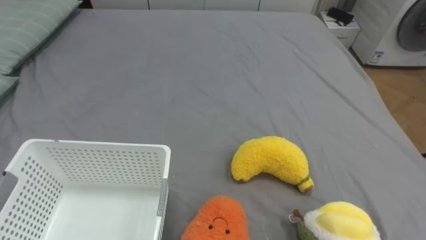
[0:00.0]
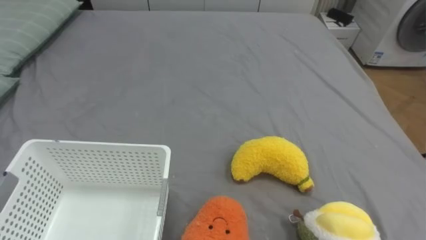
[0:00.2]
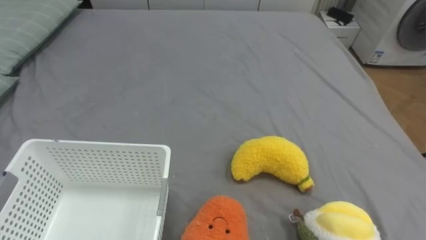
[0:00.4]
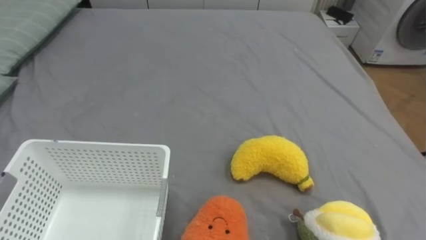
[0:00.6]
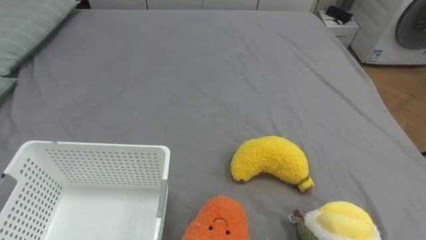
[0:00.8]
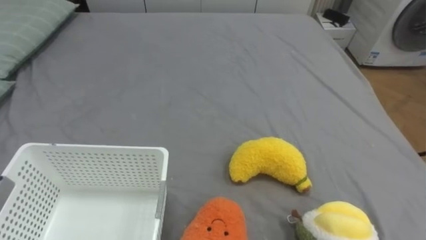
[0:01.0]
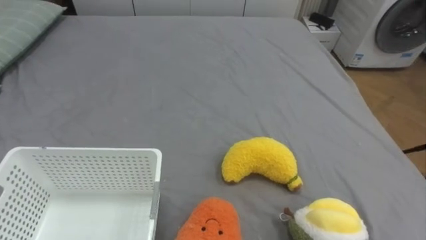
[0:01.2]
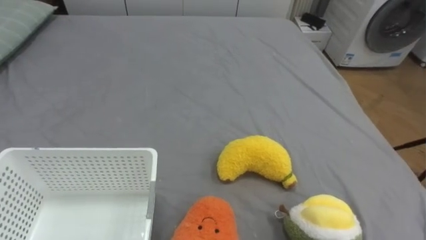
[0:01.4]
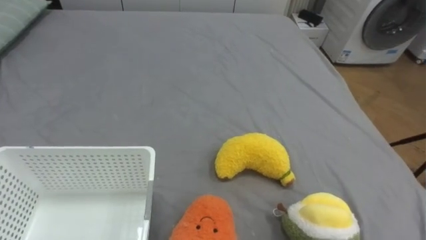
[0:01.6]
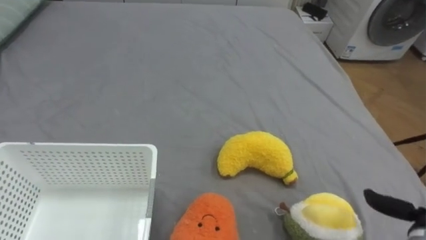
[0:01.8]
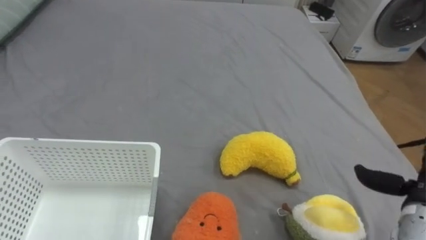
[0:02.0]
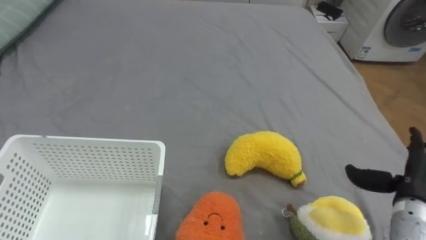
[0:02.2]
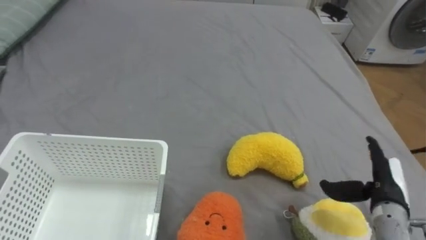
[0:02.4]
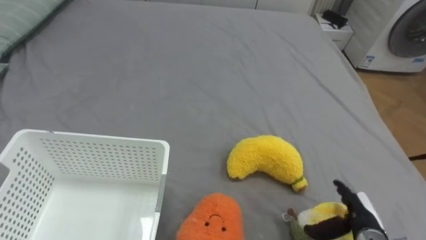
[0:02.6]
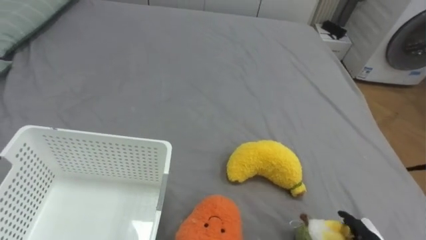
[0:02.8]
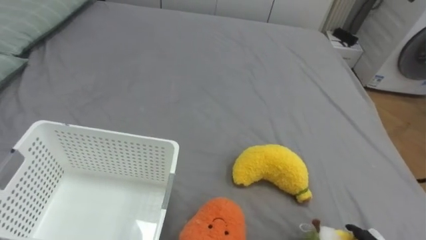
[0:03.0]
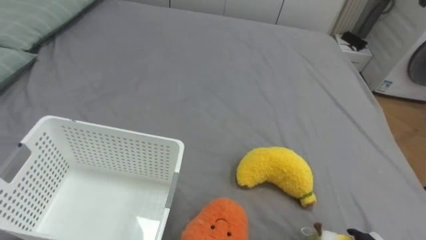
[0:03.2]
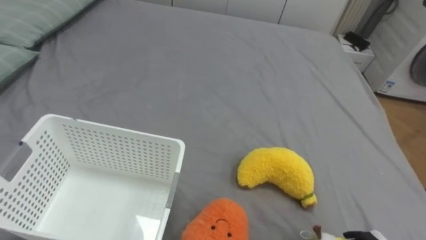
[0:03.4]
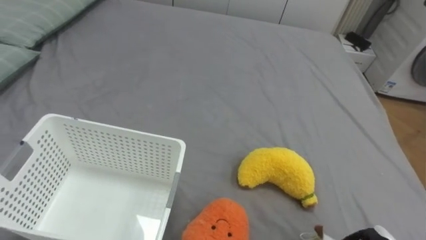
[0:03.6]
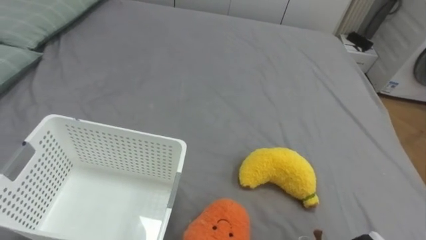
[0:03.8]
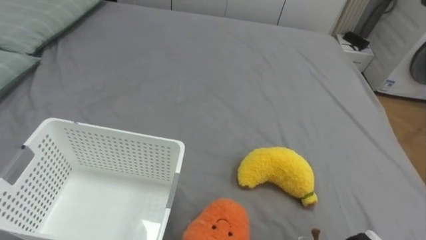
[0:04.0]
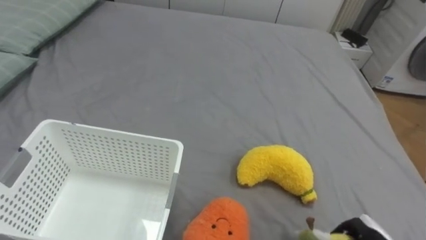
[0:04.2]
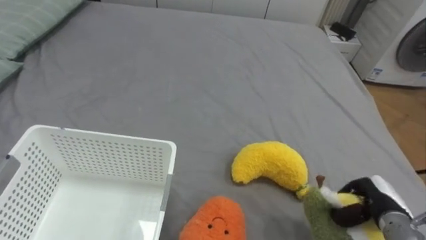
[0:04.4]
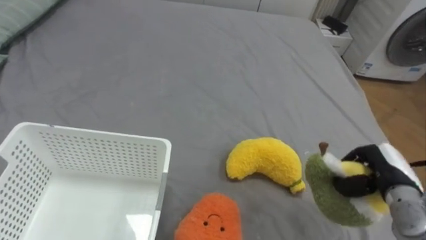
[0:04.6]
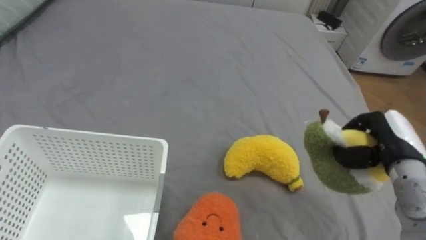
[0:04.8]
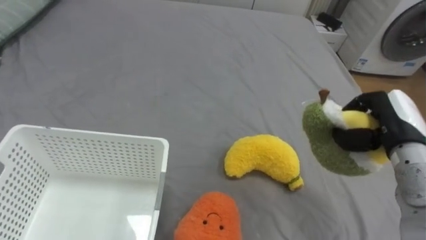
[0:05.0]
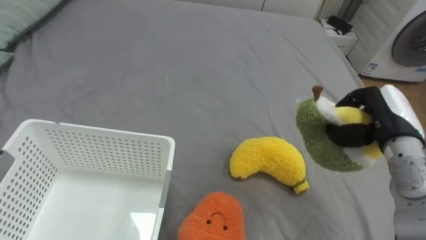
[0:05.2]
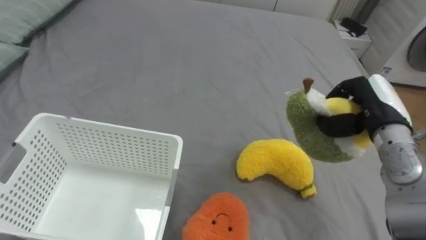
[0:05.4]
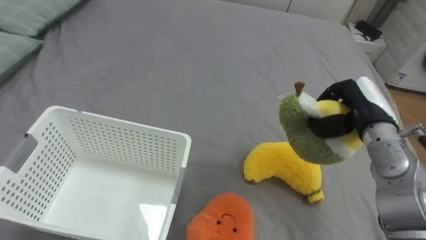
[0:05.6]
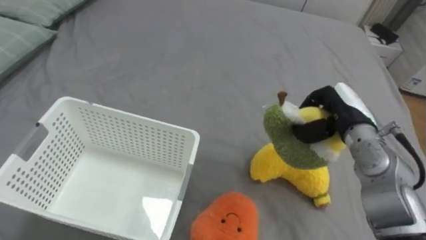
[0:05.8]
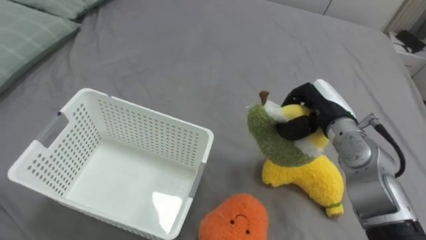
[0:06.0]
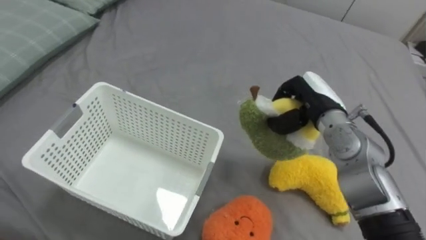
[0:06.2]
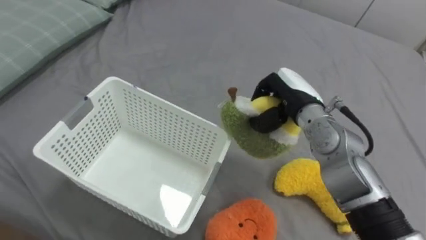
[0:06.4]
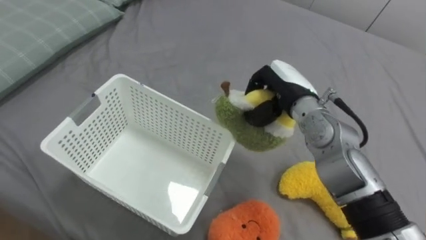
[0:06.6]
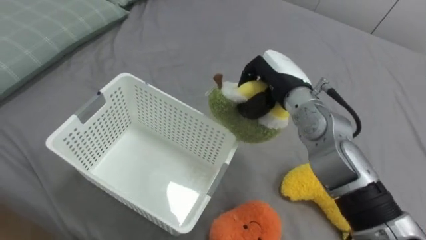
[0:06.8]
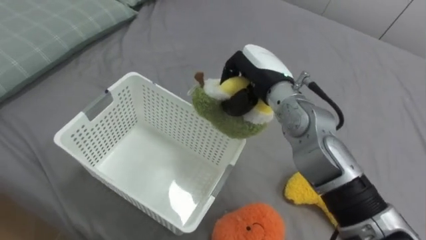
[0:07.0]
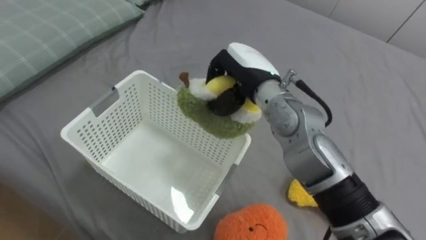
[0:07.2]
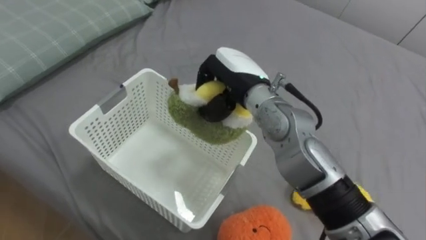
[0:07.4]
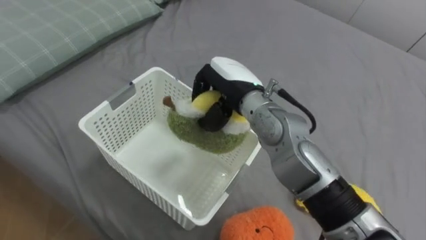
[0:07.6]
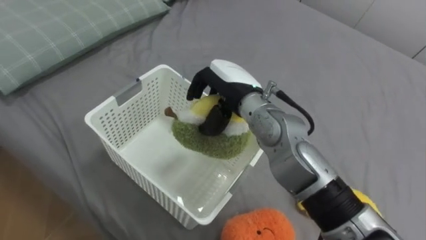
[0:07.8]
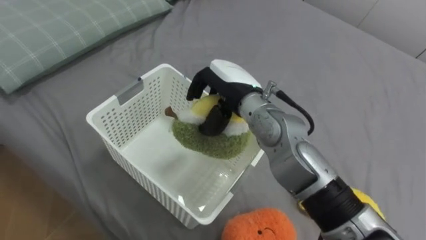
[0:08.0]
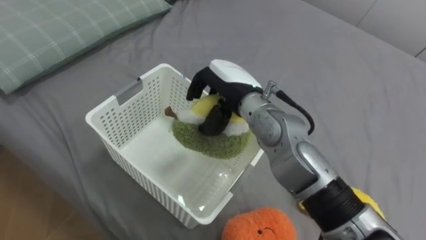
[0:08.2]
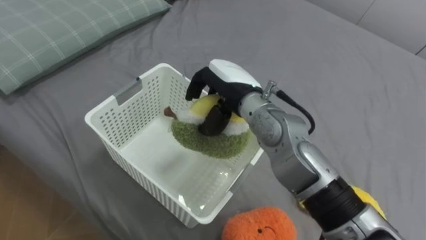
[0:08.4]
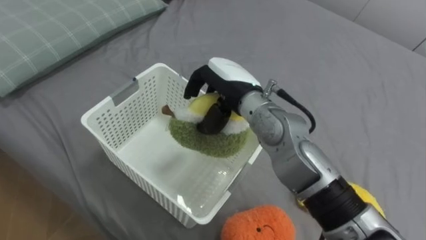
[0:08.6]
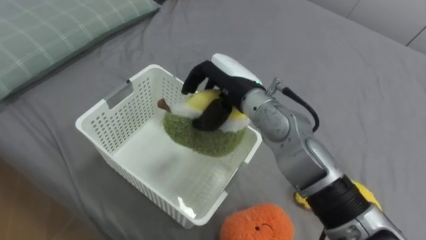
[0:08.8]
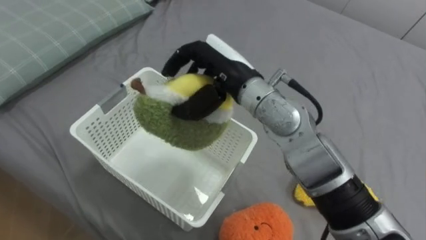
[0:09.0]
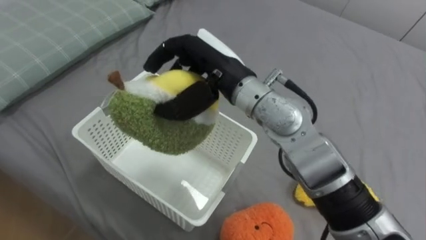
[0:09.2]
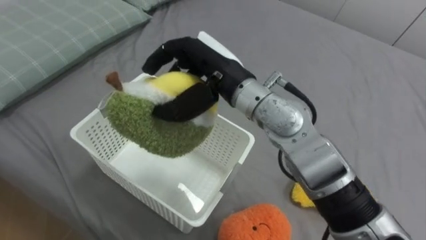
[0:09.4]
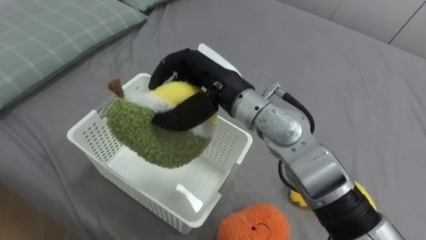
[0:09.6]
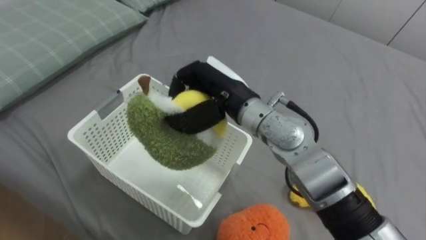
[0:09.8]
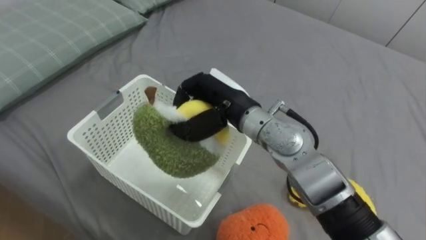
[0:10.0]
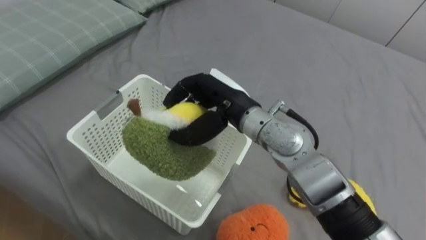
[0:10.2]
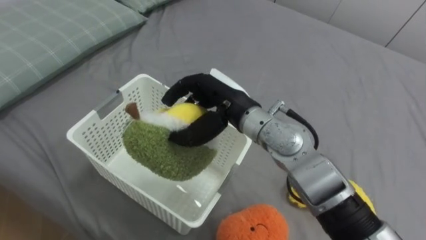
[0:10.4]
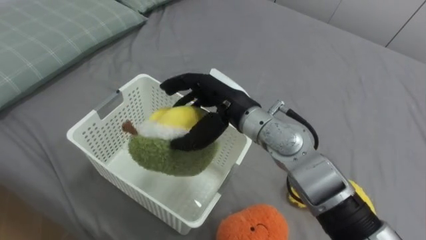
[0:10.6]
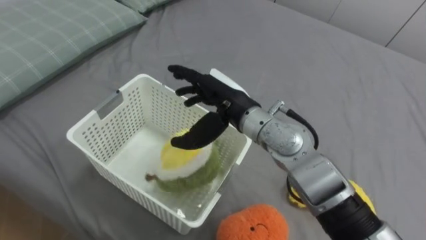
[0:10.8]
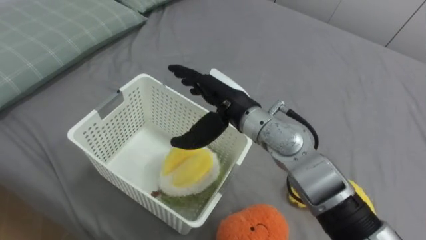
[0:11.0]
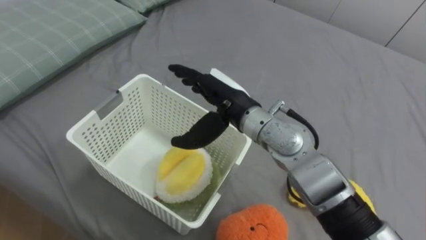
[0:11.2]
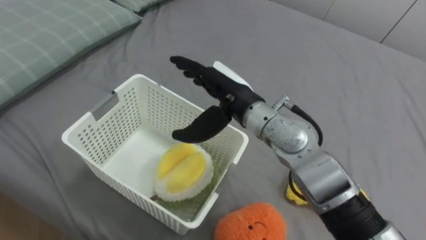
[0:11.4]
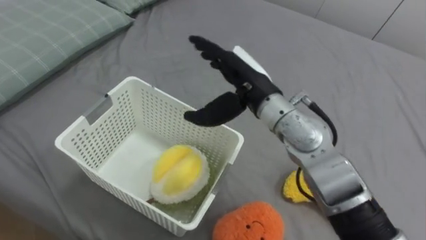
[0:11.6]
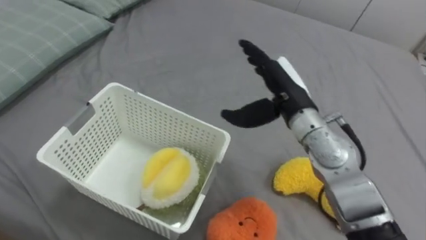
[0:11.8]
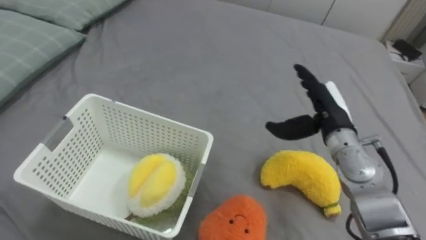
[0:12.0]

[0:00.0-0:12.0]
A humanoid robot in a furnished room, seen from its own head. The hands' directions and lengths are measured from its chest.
Task of the whole recording: Put the toys on the bed into the basket on the left.
0:04.4 to 0:06.0: The right hand moves forward, upward and to the left, approximately 20 cm.
0:06.0 to 0:07.6: The right hand travels to the left by about 20 cm.
0:07.6 to 0:09.0: The right hand moves approximately 5 cm.
0:09.0 to 0:10.4: The right hand is displaced downward by approximately 5 cm.
0:10.4 to 0:12.0: The right hand goes some 20 cm to the right, and opens up.

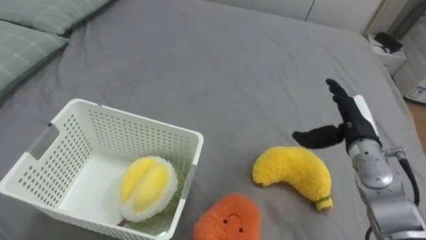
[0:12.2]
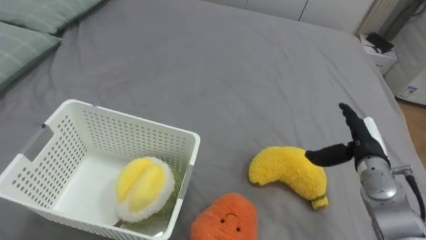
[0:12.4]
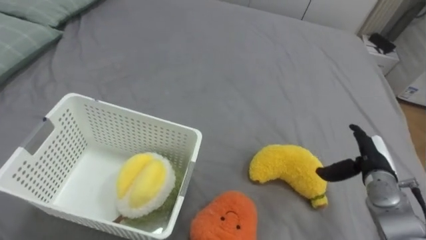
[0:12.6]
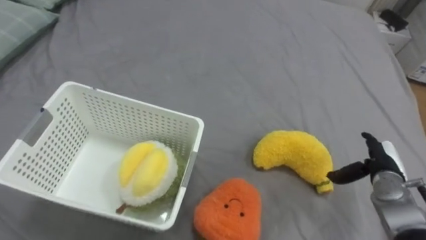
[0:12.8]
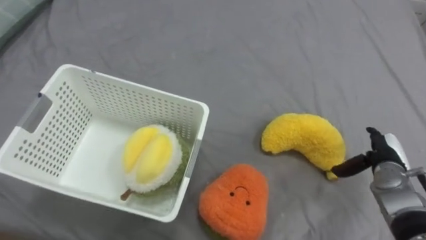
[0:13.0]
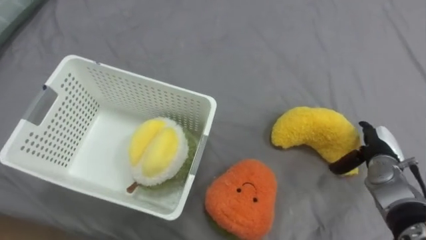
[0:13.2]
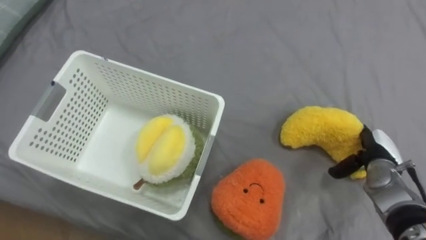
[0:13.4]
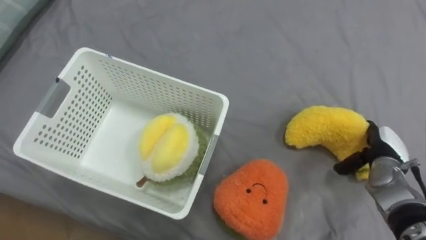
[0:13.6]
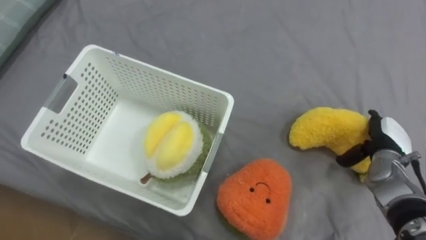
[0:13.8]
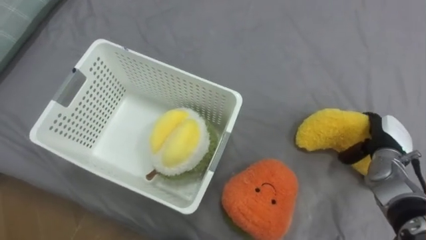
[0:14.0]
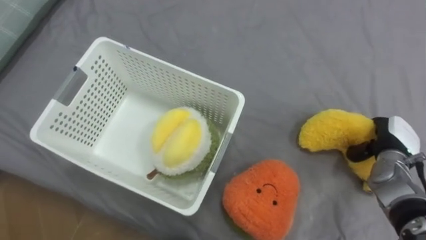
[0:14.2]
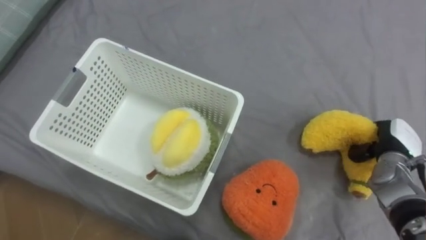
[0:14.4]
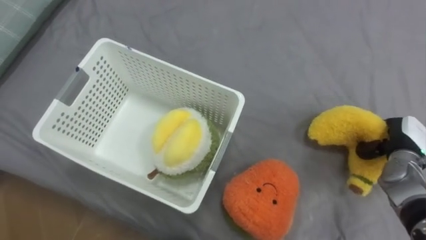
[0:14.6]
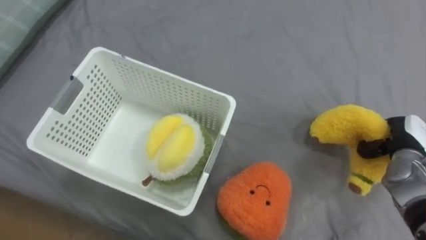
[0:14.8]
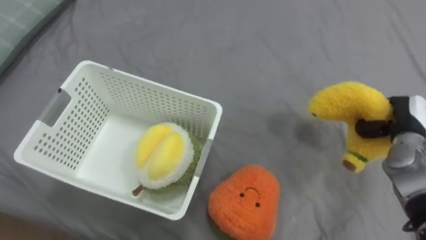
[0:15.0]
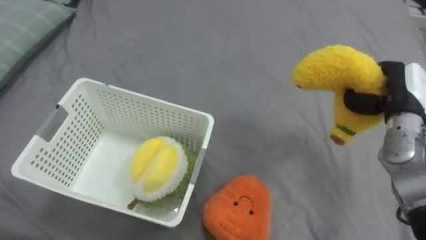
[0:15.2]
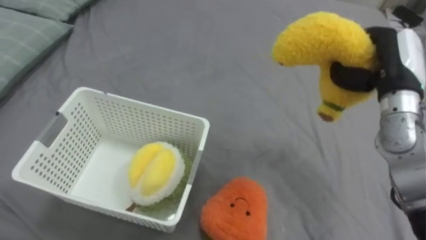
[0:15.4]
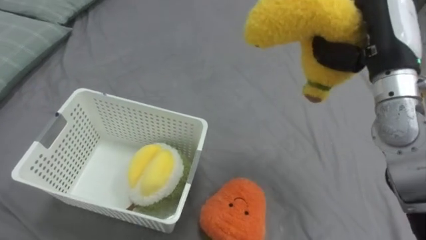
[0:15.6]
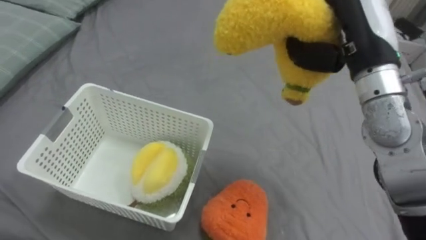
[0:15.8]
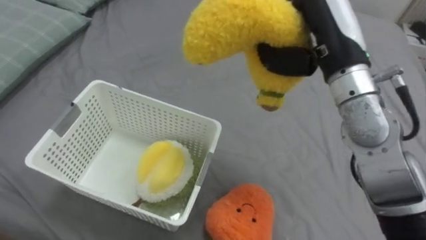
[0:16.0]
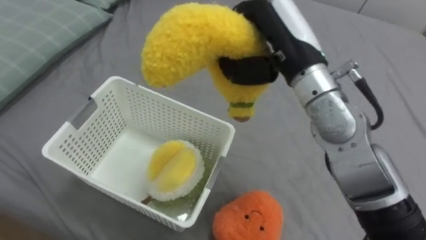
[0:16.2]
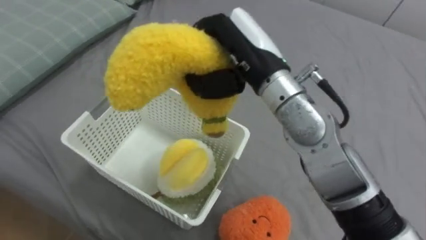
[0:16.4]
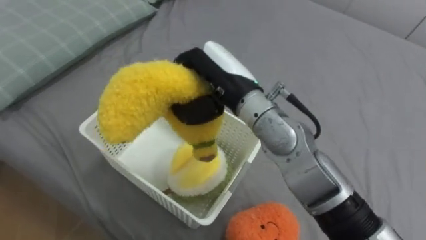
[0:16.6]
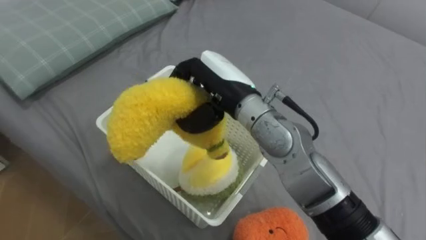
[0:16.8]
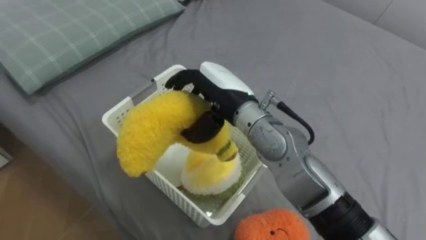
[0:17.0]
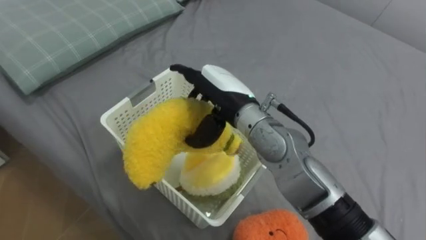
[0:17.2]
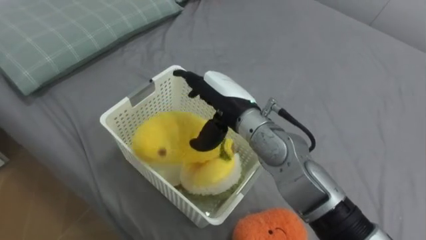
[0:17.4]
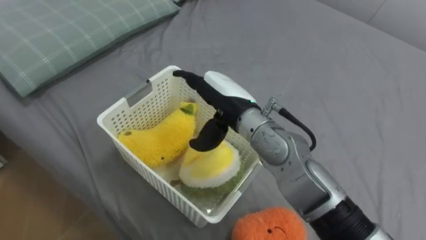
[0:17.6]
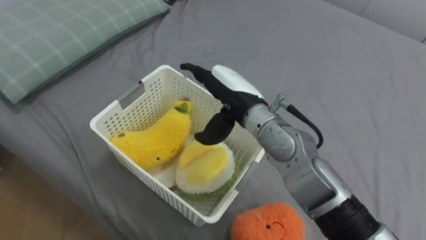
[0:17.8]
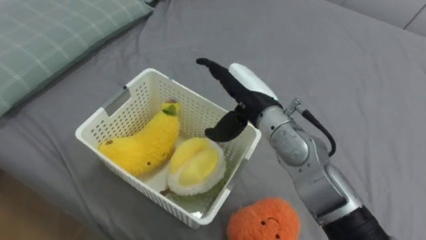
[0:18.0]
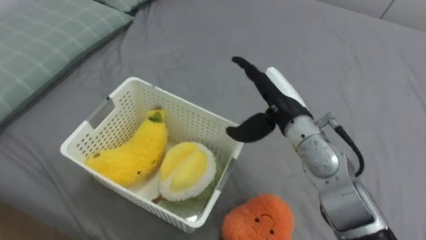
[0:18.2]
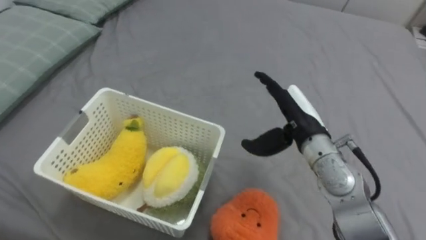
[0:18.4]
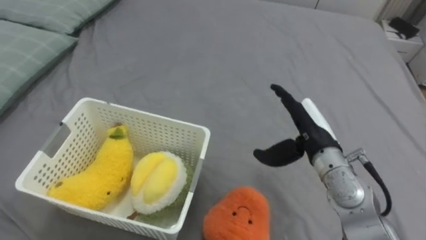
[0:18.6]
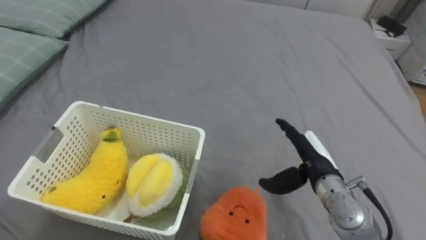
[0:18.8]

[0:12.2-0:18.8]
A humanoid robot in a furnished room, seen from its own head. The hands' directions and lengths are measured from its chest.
Task of the whole recording: Put the toys on the bed into the basket on the left.
0:12.2 to 0:13.8: The right hand moves to the right and downward, about 10 cm.
0:13.8 to 0:15.4: The right hand goes some 20 cm upward, and closes its fingers.
0:15.4 to 0:17.2: The right hand moves to the left, about 25 cm, and opens its fingers.
0:17.2 to 0:18.8: The right hand moves to the right and downward, roughly 20 cm.
